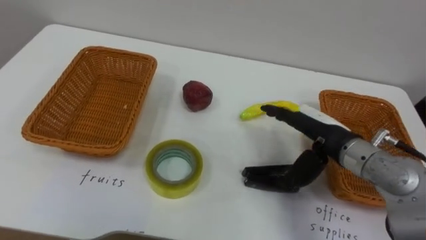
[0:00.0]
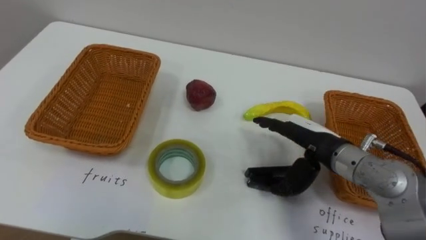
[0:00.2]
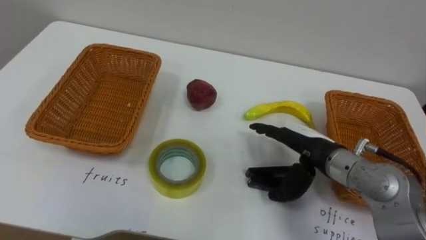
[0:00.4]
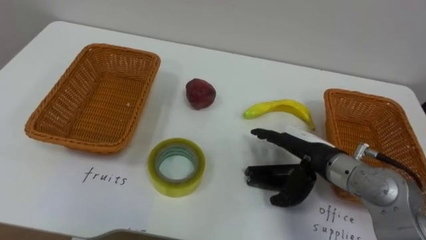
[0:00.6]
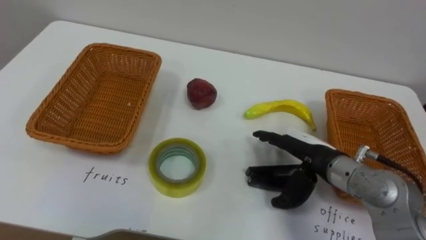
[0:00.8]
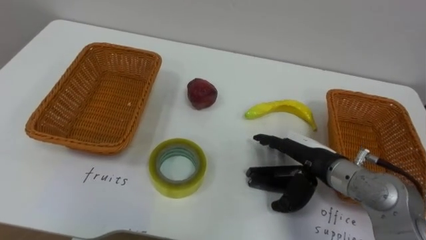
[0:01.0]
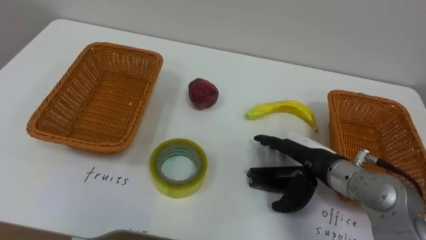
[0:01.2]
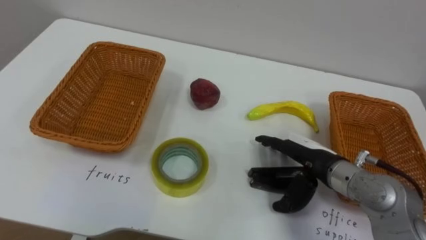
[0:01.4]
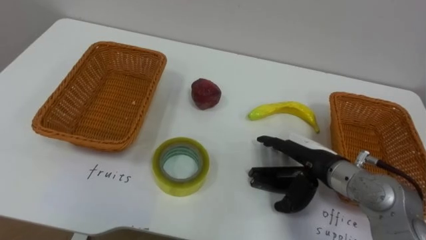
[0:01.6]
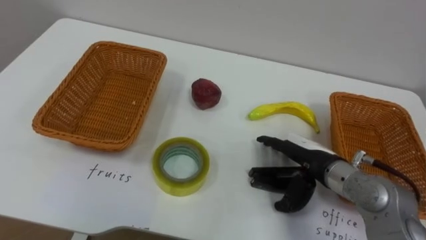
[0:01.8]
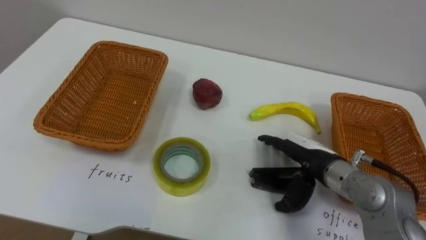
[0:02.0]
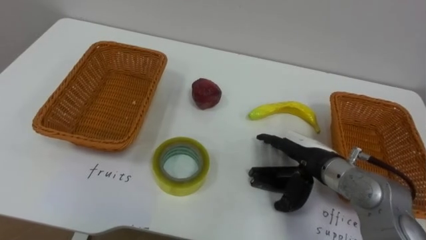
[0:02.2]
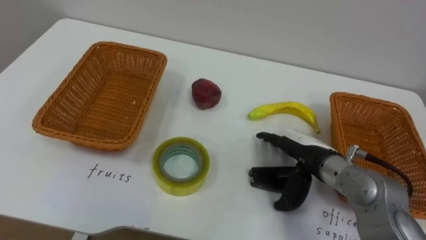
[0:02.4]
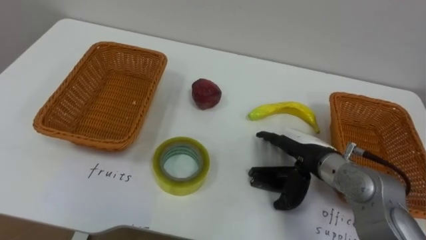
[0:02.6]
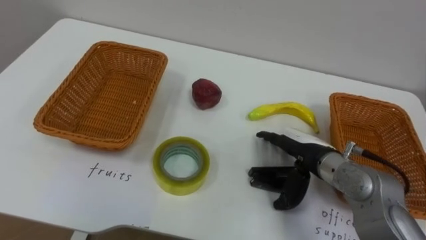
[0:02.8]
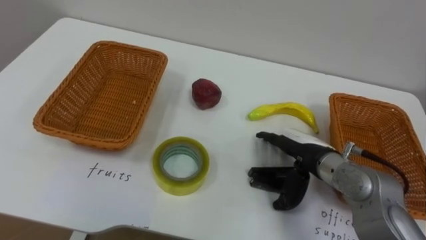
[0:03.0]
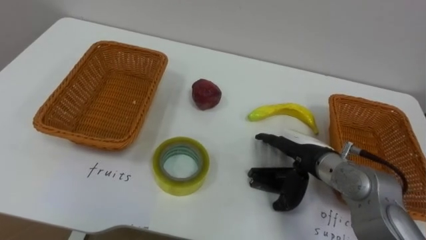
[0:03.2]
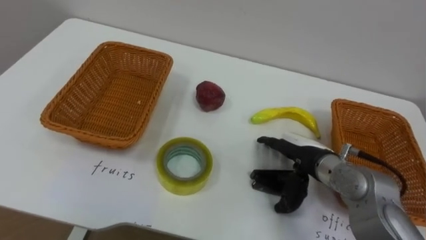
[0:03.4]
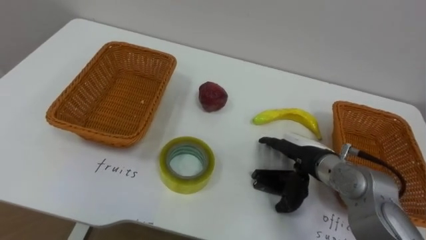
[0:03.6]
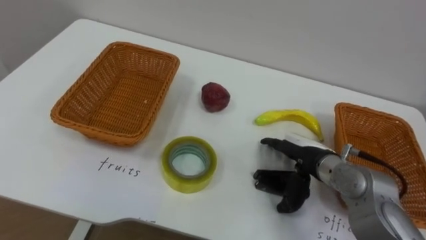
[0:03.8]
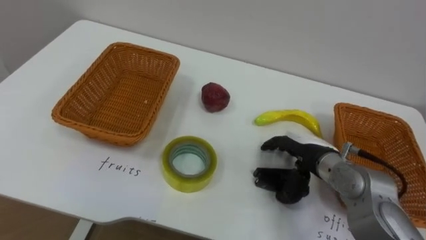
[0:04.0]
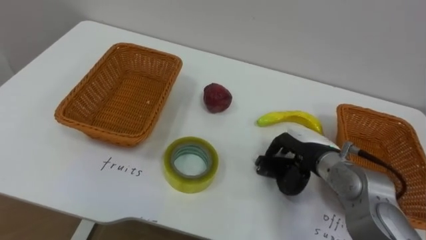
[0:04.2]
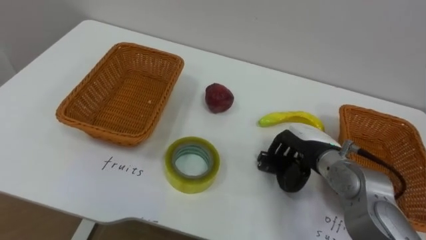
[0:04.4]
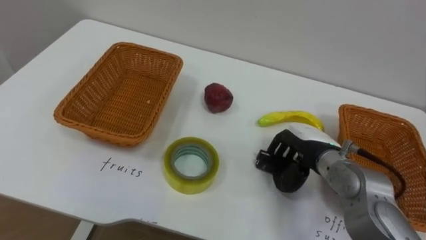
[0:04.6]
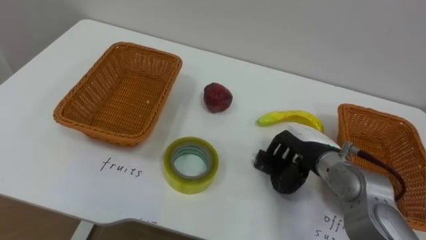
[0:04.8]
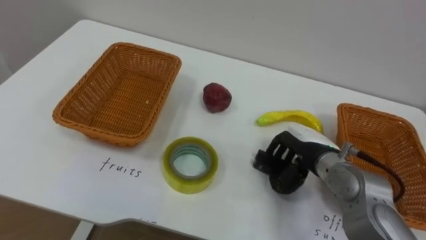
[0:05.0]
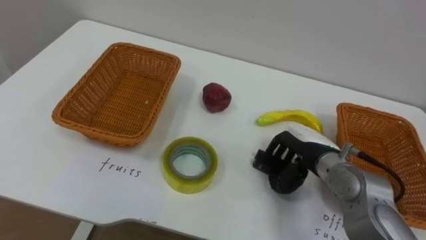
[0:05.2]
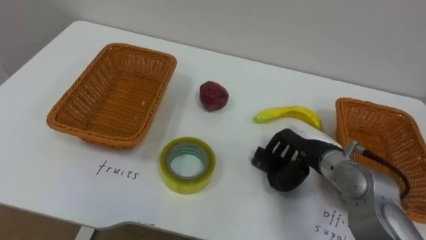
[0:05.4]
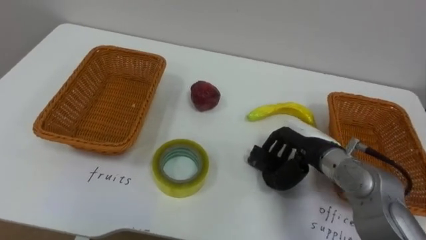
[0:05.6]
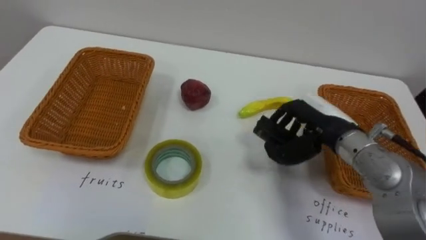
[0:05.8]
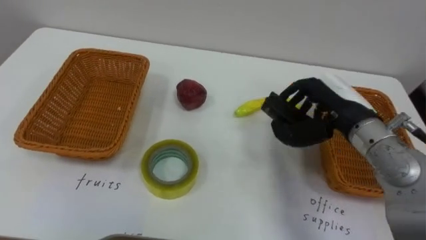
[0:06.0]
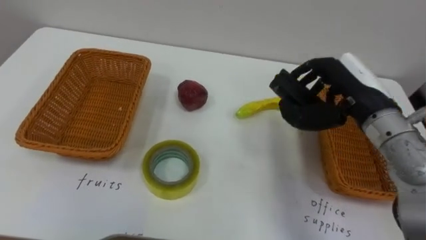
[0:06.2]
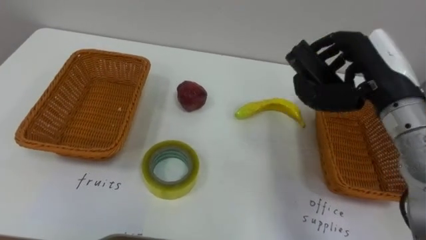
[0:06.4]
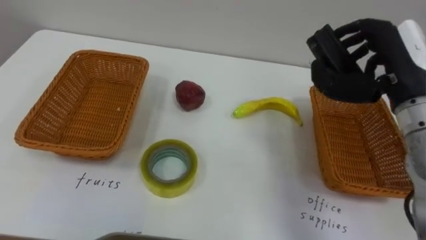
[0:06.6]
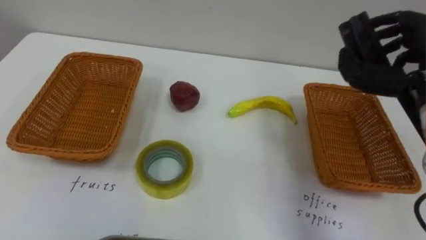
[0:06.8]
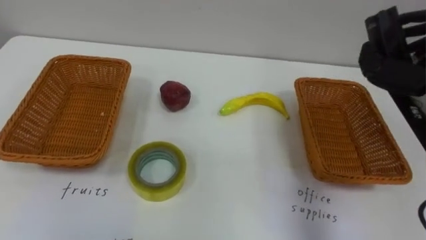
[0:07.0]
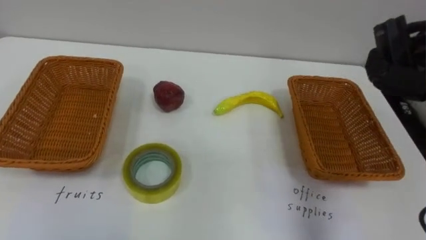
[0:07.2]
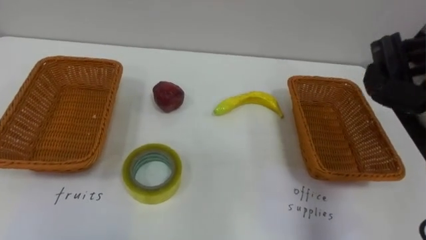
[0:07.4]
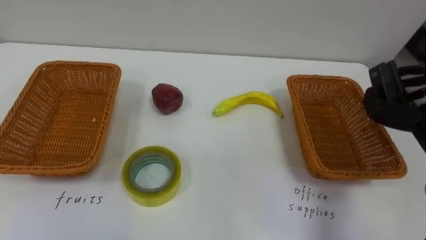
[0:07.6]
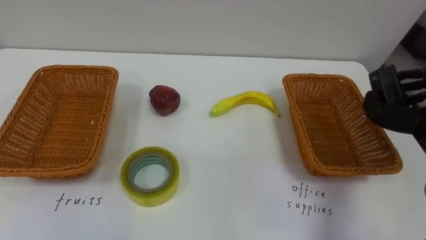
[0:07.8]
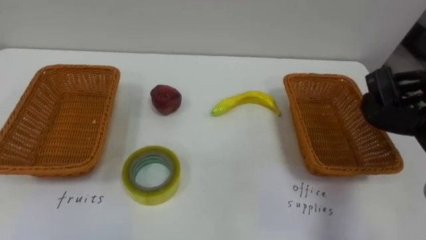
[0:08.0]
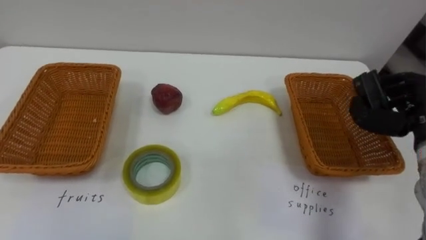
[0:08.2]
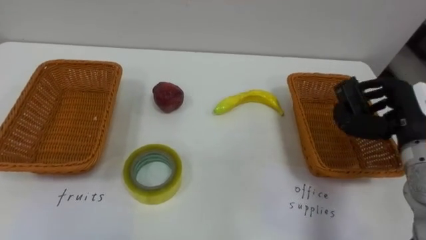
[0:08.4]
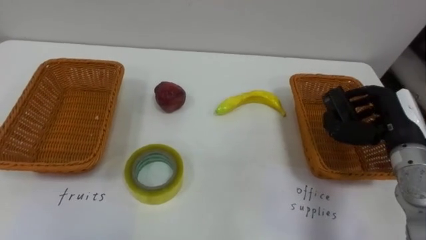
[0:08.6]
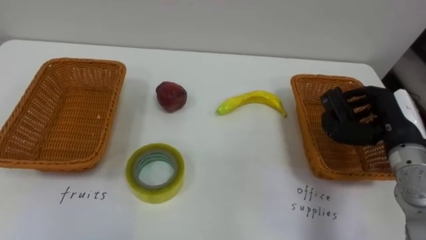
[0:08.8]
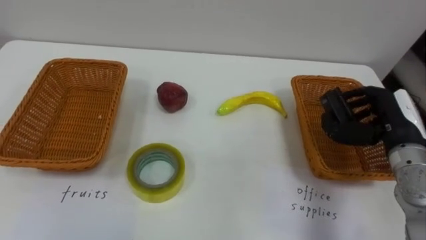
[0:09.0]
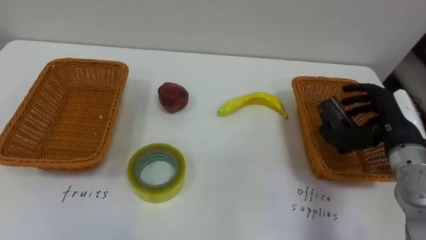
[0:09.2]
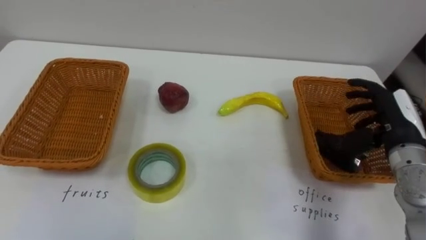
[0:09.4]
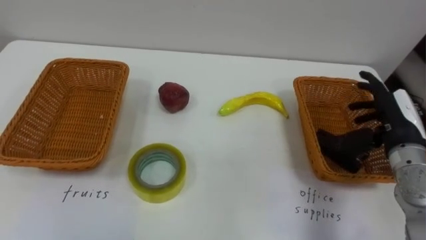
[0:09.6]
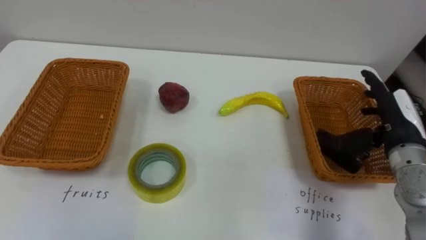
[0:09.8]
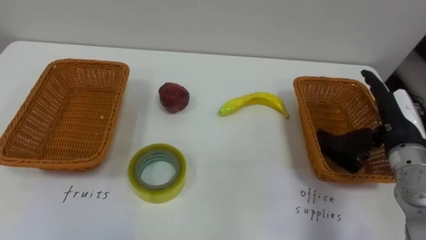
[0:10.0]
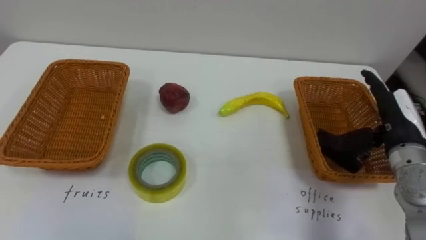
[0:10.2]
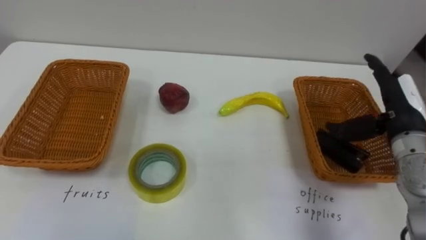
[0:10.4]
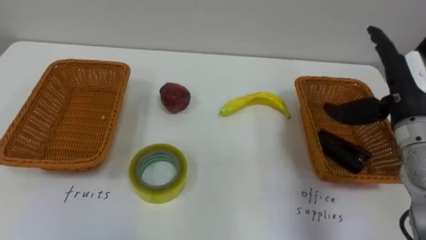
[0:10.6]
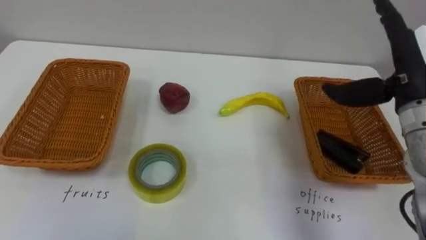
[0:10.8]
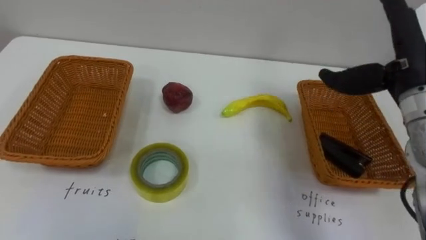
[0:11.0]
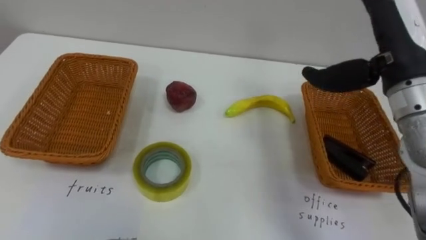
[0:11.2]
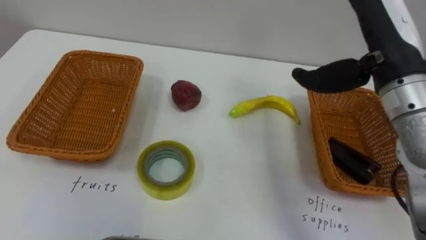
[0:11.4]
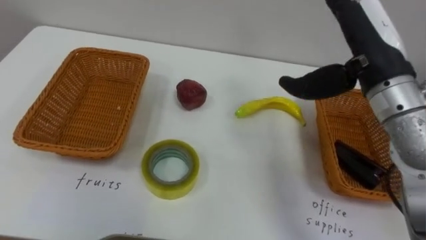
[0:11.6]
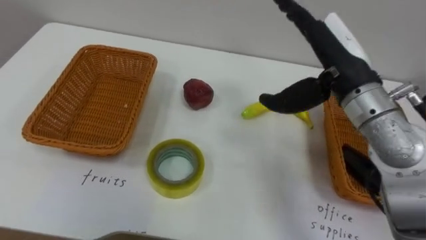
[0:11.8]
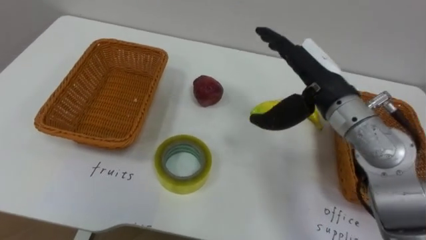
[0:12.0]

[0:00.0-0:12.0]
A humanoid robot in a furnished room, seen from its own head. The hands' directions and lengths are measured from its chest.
Task of the whole recording: Separate the items on the table and place them into the two baskets.
0:00.0 to 0:01.6: The right hand is displaced downward by approximately 5 cm.
0:03.0 to 0:04.4: The right hand closes up.
0:04.4 to 0:06.0: The right hand is displaced upward by some 10 cm.
0:09.0 to 0:10.4: The right hand opens its fingers.
0:10.4 to 0:12.0: The right hand is displaced to the left and upward by approximately 15 cm.

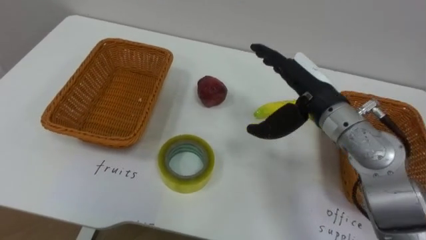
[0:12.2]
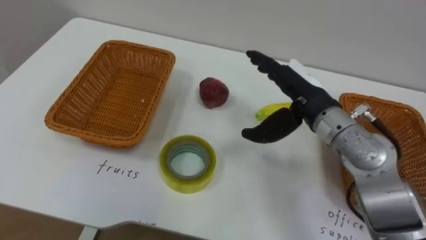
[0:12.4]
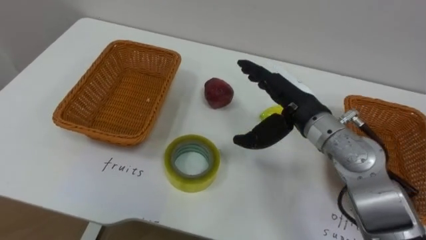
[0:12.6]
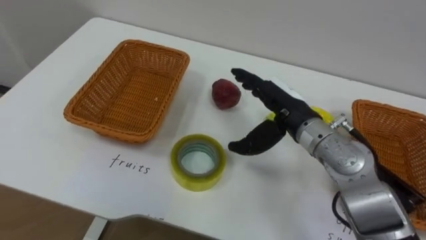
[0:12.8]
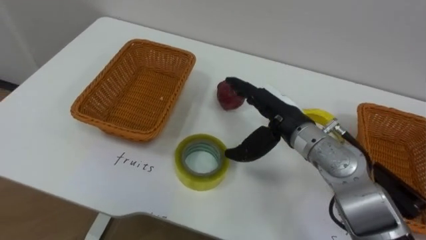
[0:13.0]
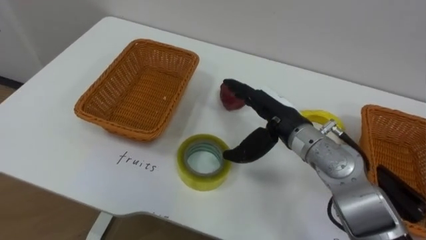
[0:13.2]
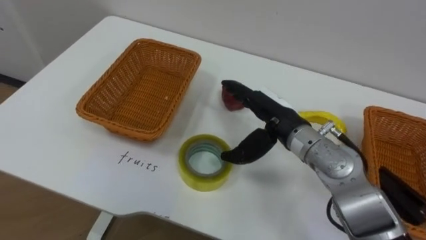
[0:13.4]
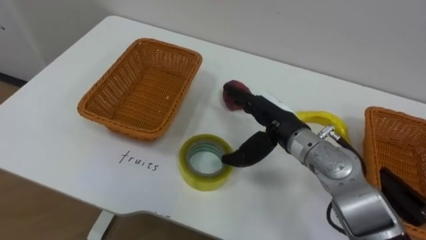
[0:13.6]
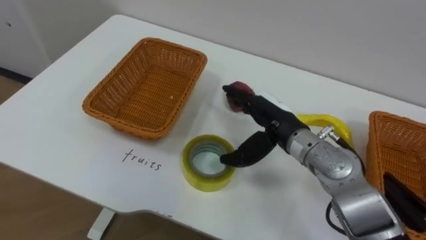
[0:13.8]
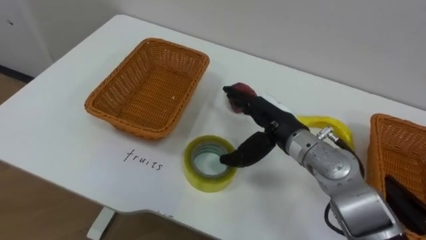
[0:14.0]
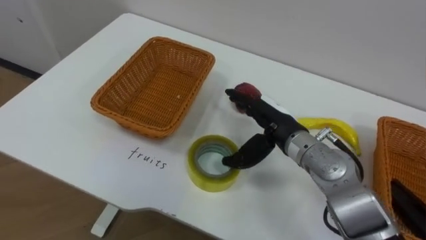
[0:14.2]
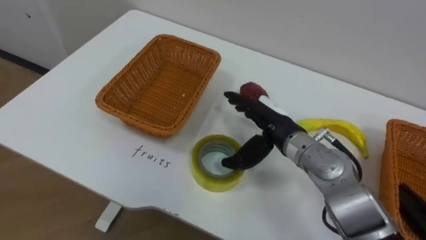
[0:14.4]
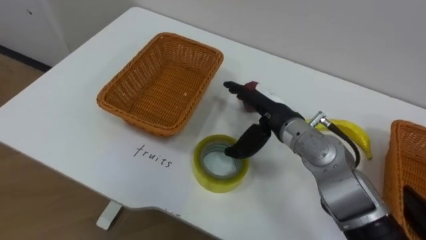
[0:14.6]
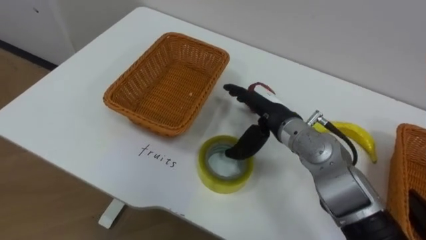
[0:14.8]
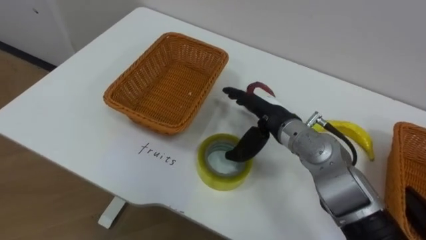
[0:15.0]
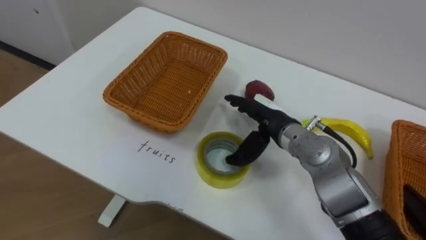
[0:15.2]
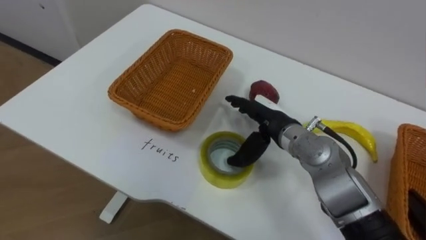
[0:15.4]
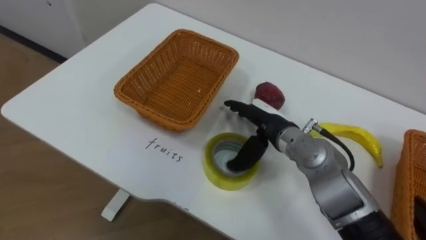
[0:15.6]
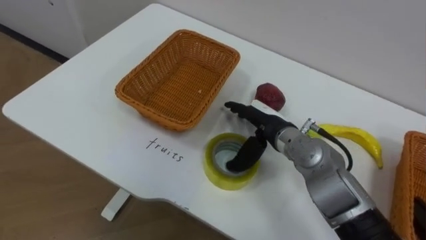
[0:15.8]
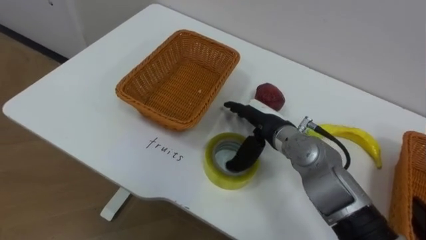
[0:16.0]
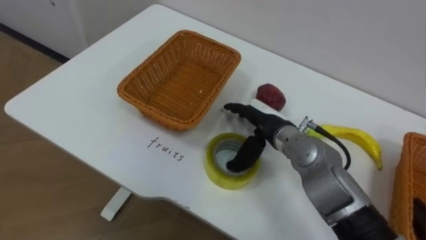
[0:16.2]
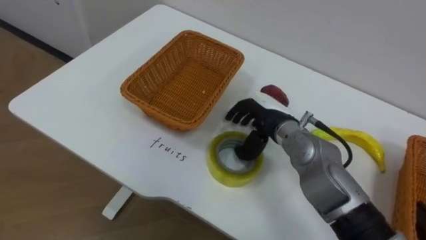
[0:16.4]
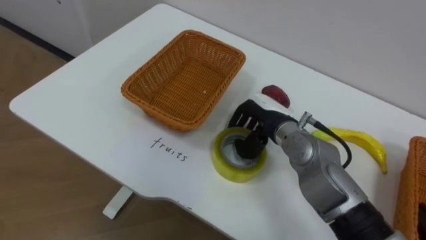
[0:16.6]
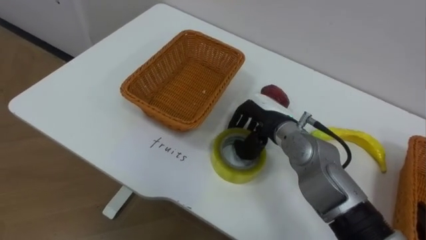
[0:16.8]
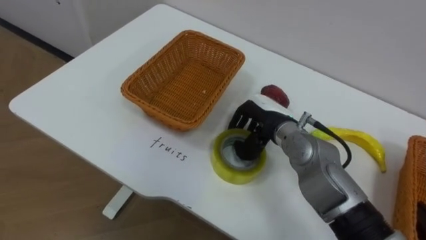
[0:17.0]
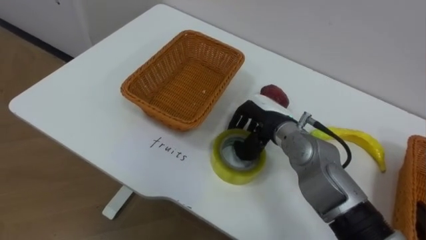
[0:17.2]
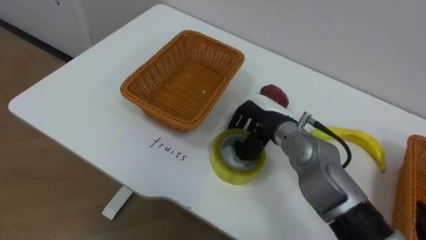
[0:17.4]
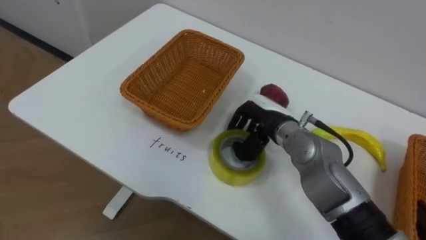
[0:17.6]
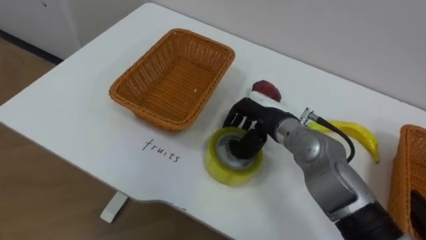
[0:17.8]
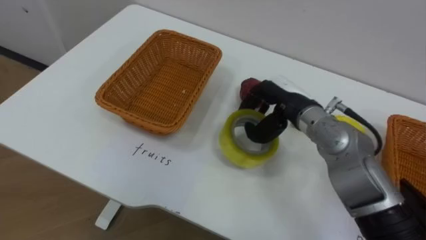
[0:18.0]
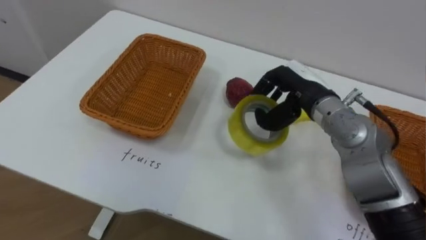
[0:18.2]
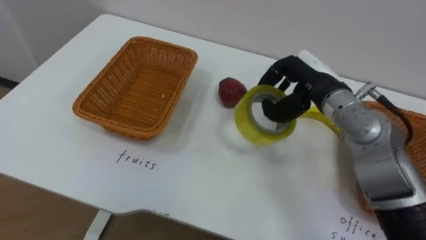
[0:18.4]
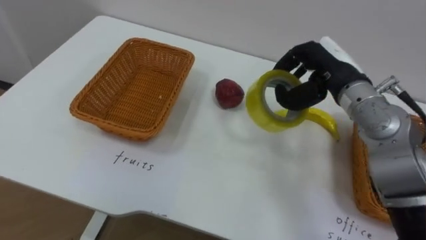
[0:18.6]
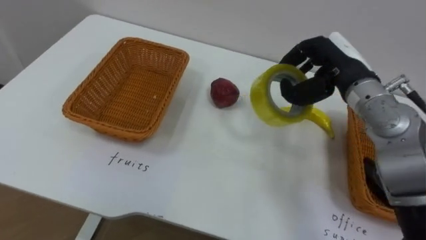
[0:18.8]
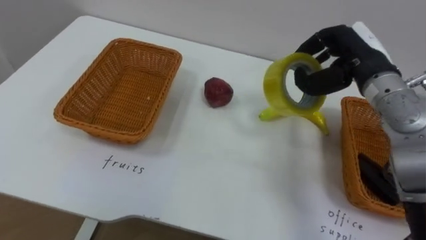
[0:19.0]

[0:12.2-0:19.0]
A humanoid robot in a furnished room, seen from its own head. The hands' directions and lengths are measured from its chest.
Task of the whole recording: Separate the items on the table and place them into the two baskets.
0:12.2 to 0:13.6: The right hand heads downward, covering some 5 cm.
0:16.2 to 0:17.6: The right hand closes its fingers.
0:17.6 to 0:19.0: The right hand heads to the right and upward, covering some 20 cm.
